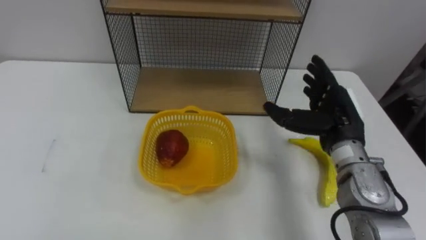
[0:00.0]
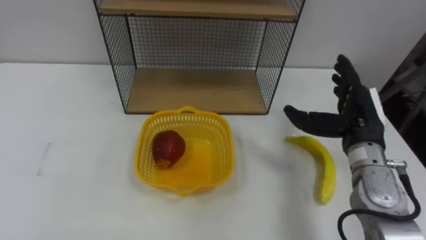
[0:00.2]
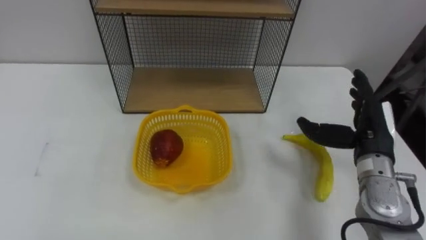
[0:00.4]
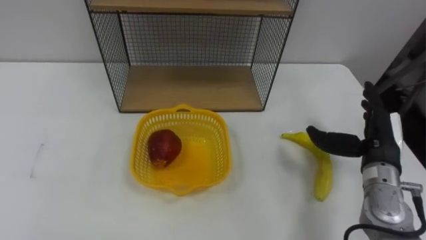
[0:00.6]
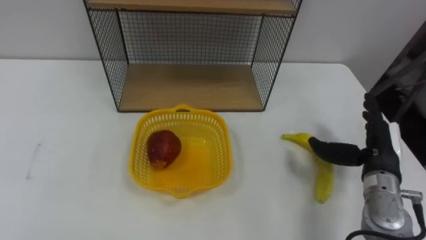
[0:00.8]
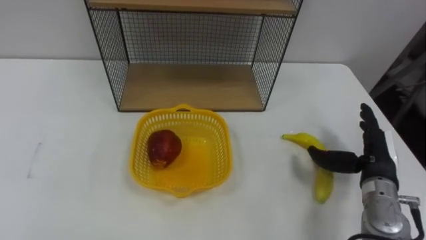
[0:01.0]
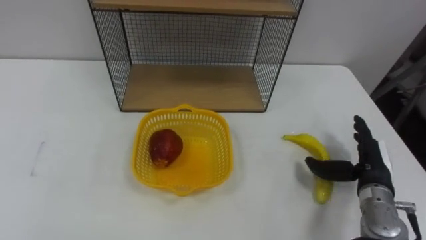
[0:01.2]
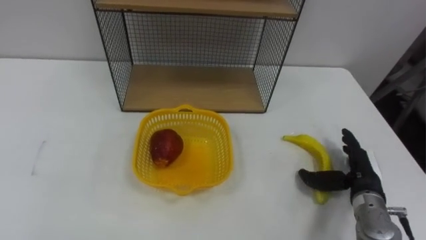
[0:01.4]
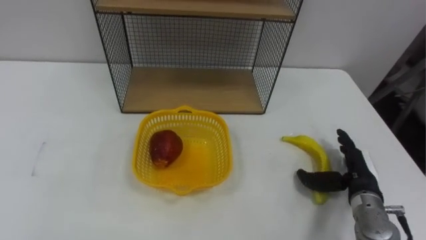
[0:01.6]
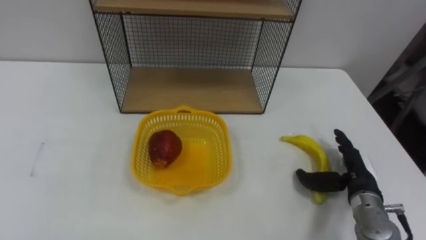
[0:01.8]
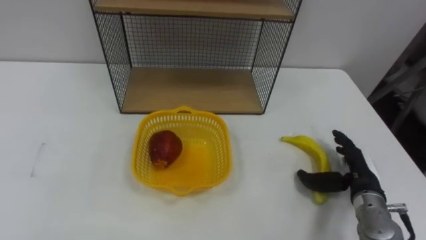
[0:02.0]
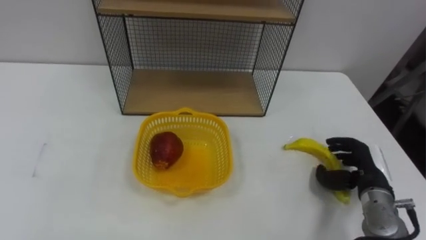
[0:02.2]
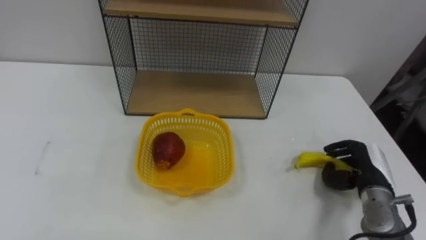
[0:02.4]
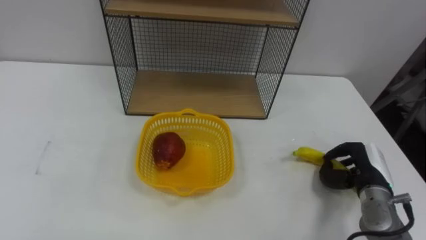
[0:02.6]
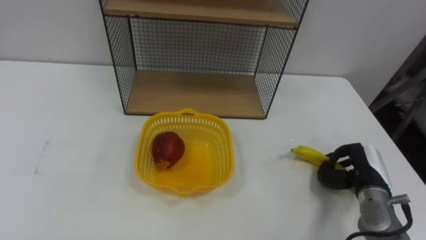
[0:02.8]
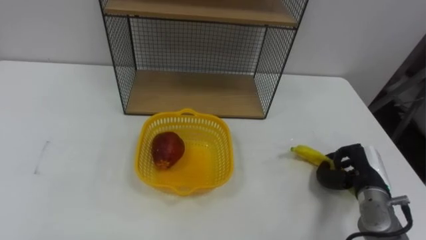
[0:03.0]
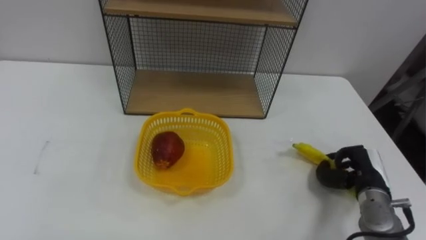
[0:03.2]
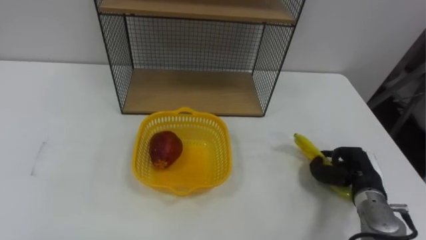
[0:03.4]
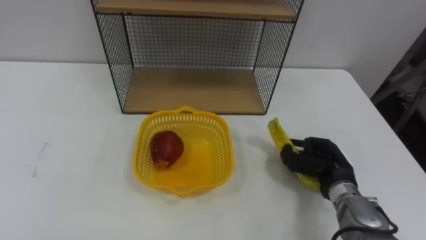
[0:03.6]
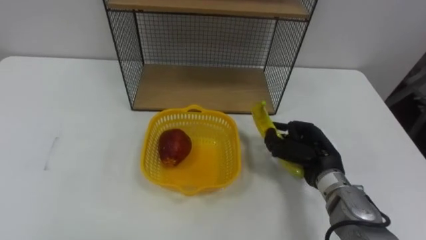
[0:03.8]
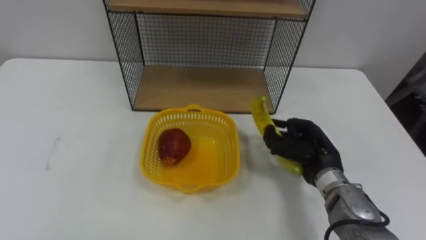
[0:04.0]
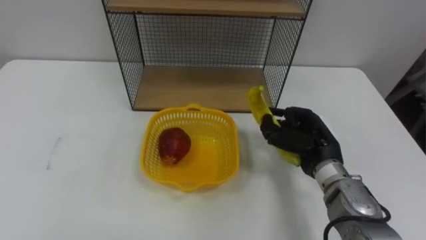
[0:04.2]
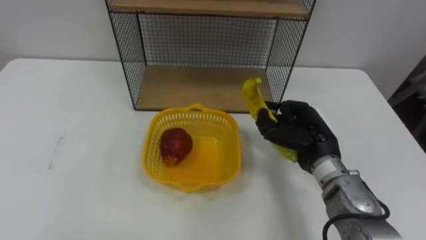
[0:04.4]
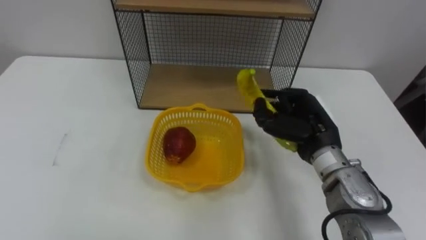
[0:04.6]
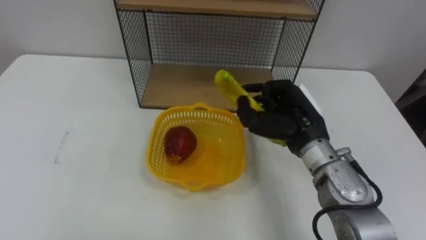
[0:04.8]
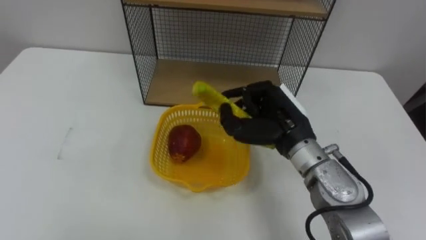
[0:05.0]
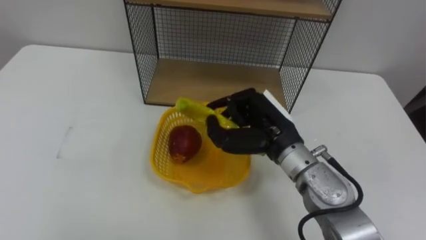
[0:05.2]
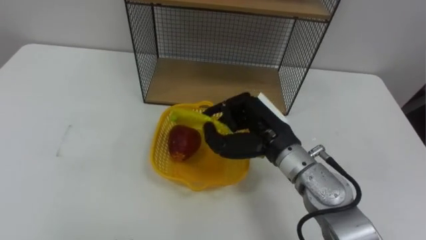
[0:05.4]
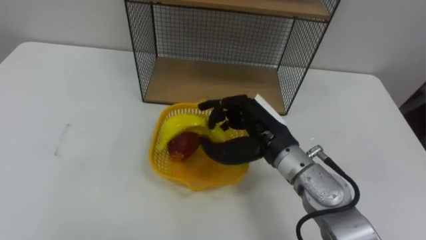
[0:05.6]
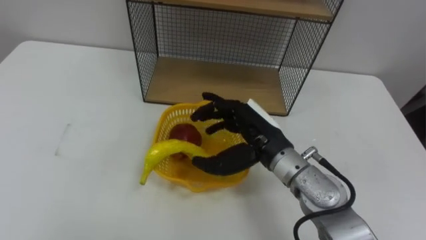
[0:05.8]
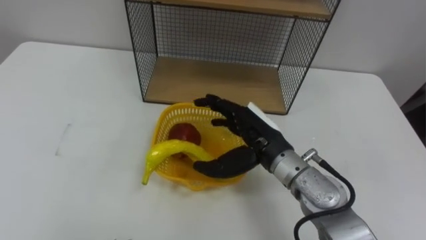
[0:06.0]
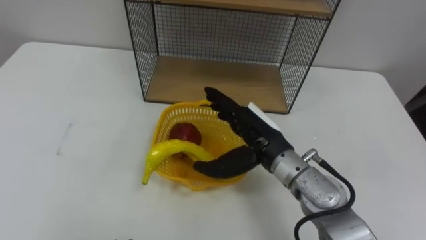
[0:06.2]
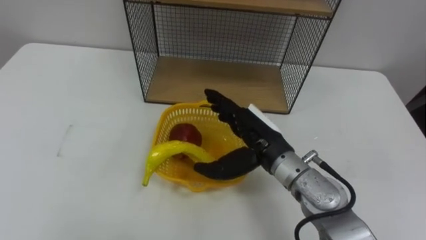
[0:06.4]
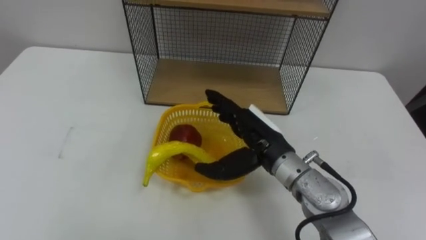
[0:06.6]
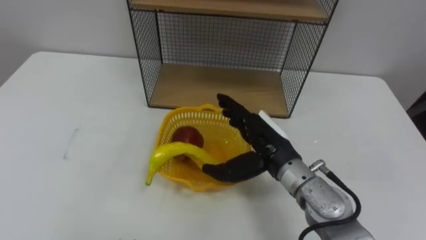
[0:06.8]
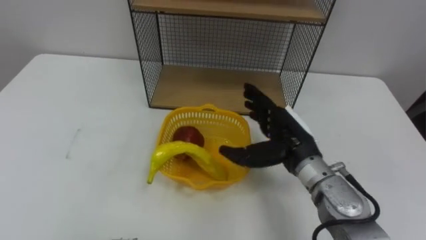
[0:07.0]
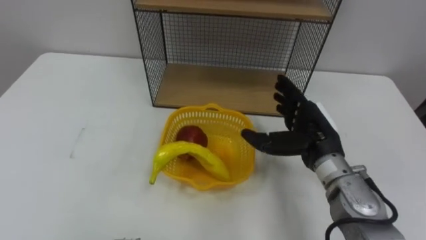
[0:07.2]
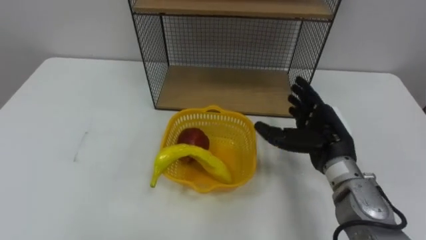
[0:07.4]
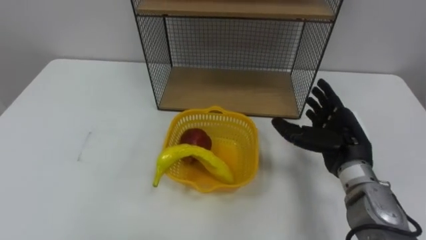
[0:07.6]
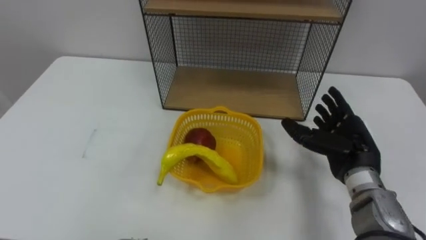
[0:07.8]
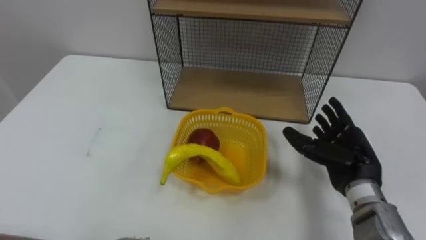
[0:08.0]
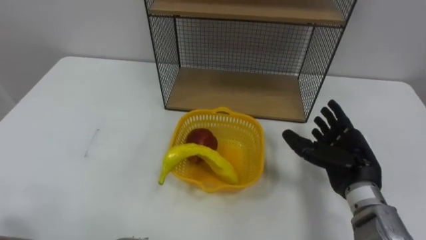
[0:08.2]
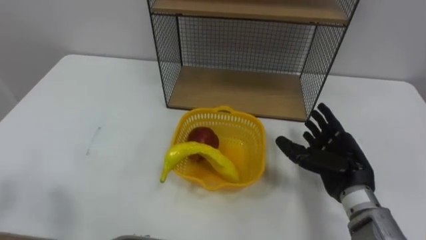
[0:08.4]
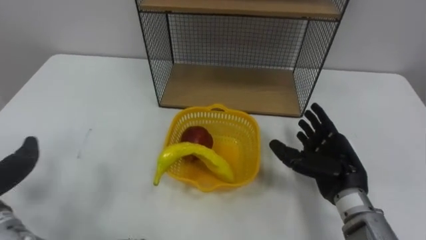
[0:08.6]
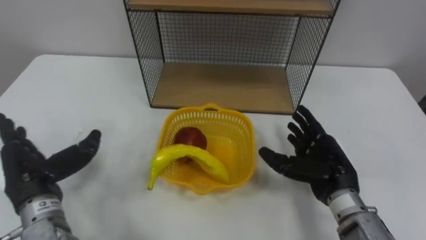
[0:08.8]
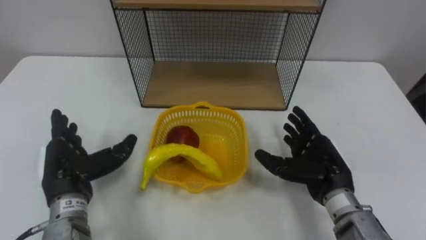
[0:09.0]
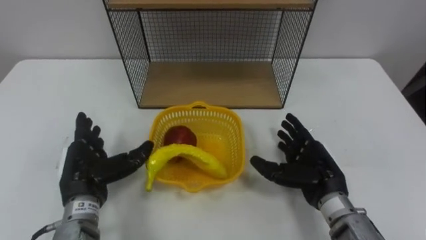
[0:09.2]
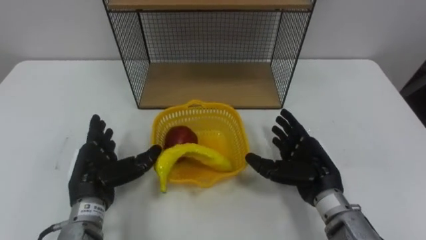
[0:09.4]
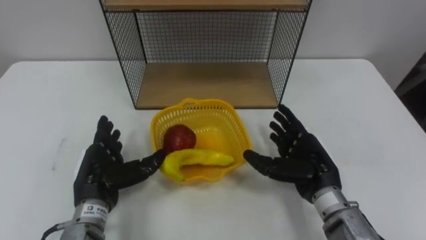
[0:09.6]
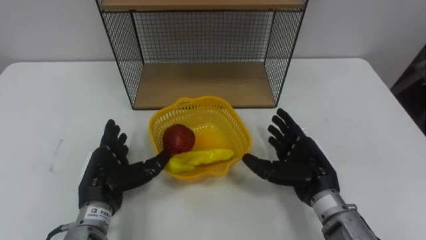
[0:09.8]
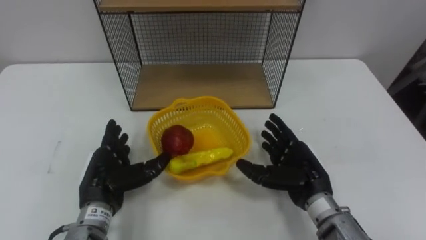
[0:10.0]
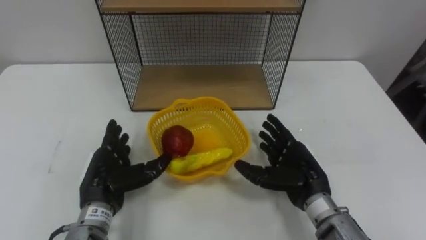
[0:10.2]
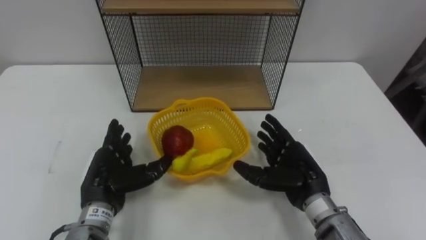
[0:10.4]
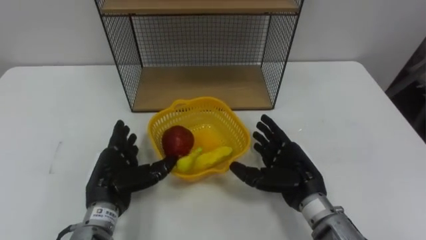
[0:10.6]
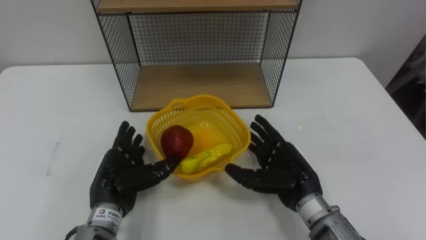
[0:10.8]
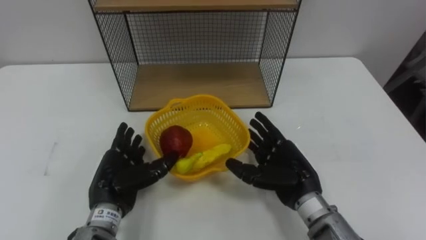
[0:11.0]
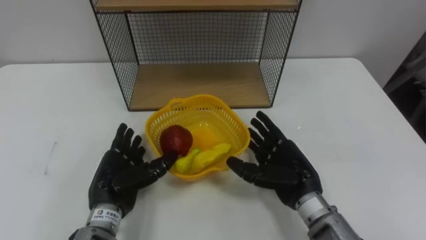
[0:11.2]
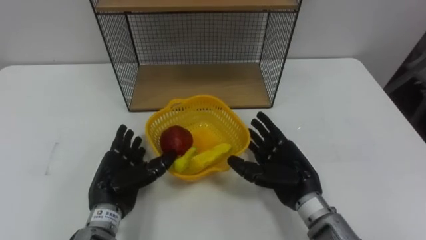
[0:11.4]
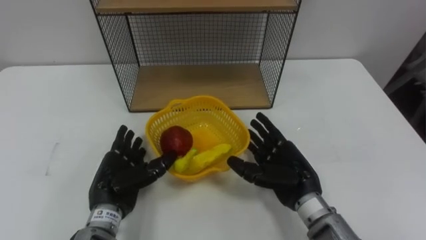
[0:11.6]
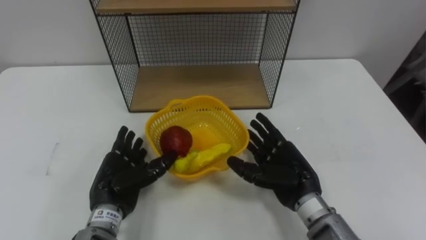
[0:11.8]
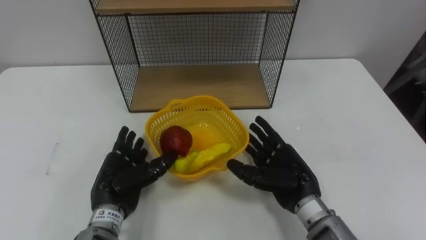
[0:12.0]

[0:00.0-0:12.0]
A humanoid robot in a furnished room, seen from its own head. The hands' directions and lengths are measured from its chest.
Task of the whole recording: Put the fruit on the table into the basket, then place the basket on the shelf.
0.0 to 1.6 s: The right hand heads downward, to the right and backward, covering roughly 15 cm.
1.6 to 3.0 s: The right hand closes.
3.0 to 4.4 s: The right hand goes about 15 cm to the left and upward.
4.4 to 6.0 s: The right hand travels to the left by some 10 cm, and opens.
6.0 to 7.6 s: The right hand travels to the right by about 15 cm.
7.6 to 9.0 s: The right hand shifts by roughly 5 cm.
9.0 to 10.4 s: The left hand moves to the right, some 5 cm.
10.4 to 12.0 s: The hands make only small movements.

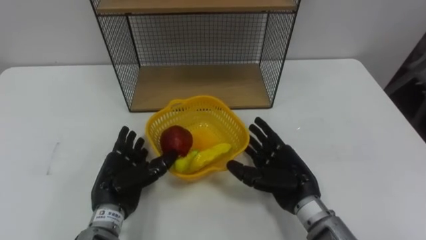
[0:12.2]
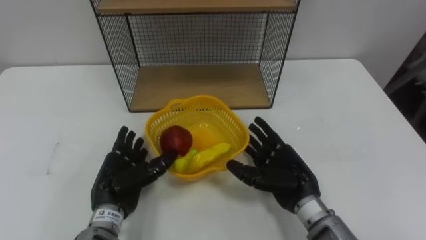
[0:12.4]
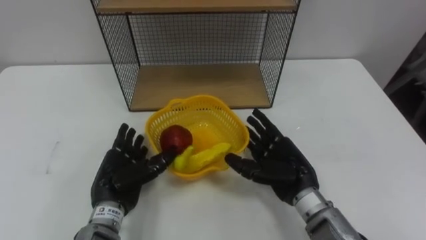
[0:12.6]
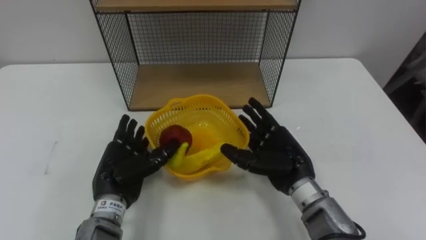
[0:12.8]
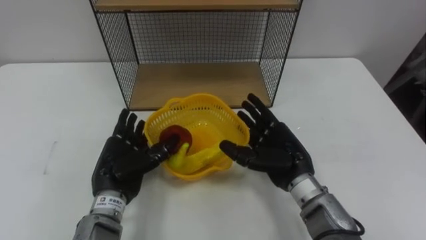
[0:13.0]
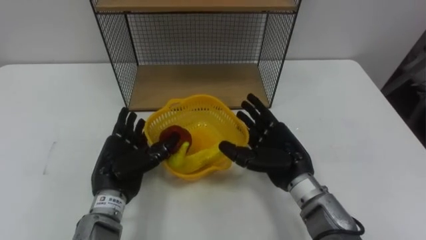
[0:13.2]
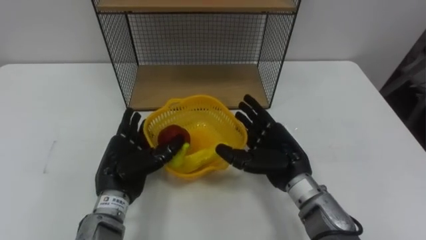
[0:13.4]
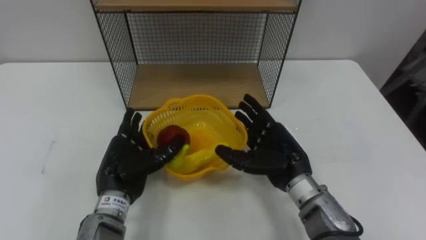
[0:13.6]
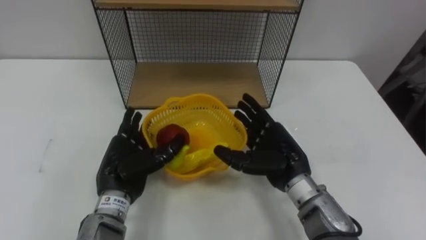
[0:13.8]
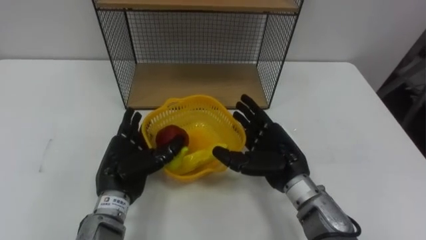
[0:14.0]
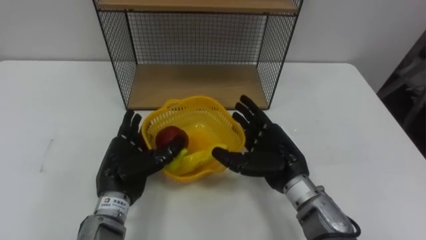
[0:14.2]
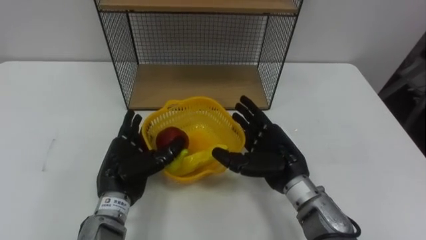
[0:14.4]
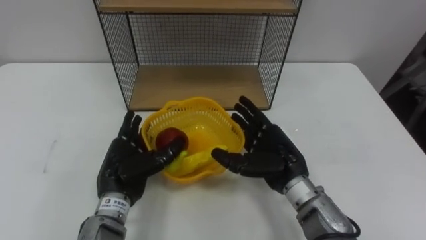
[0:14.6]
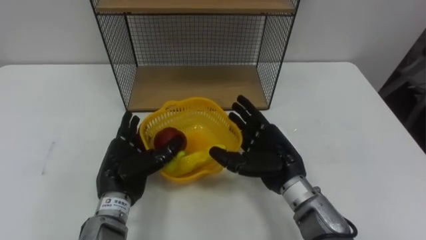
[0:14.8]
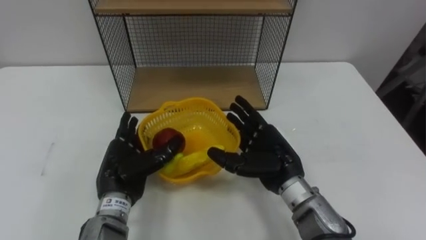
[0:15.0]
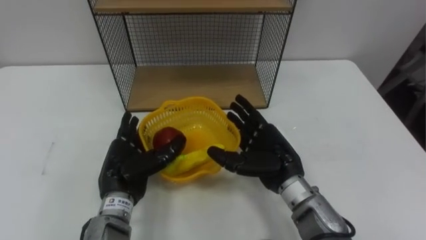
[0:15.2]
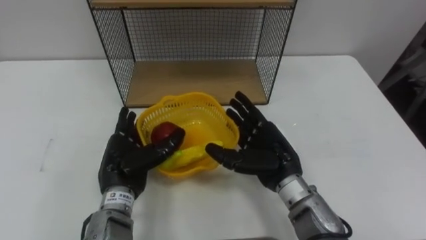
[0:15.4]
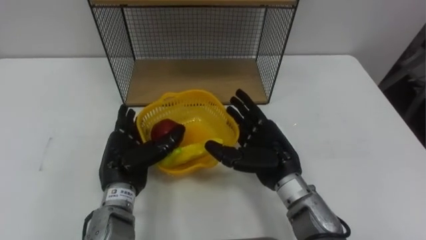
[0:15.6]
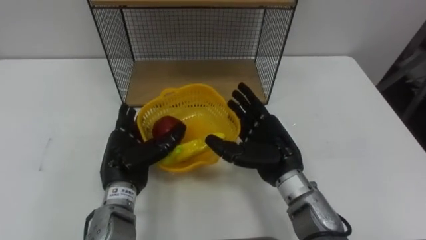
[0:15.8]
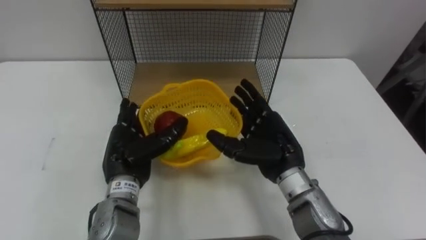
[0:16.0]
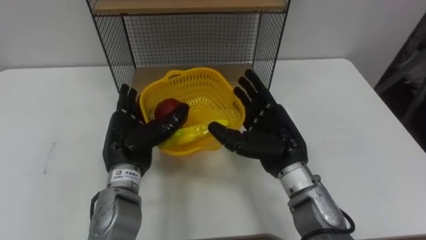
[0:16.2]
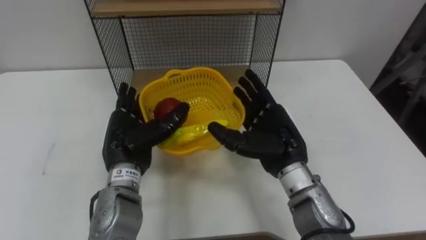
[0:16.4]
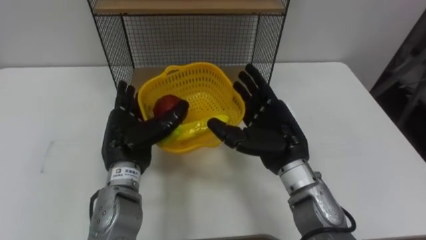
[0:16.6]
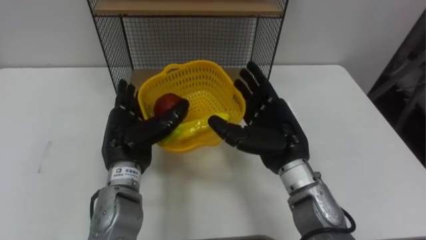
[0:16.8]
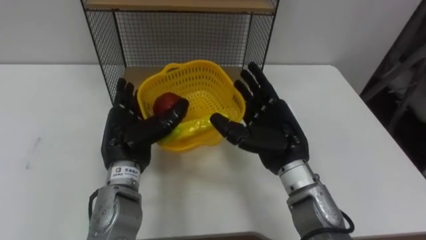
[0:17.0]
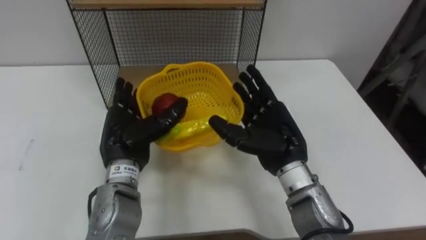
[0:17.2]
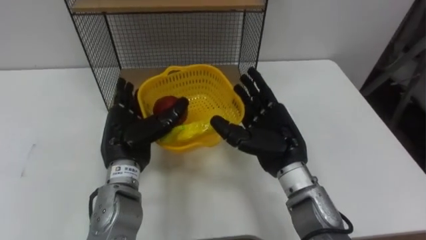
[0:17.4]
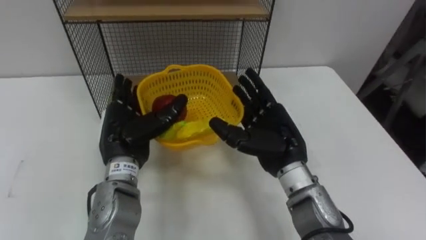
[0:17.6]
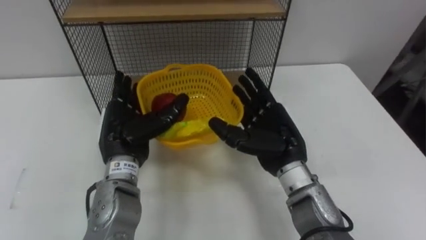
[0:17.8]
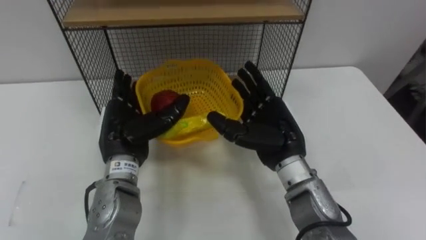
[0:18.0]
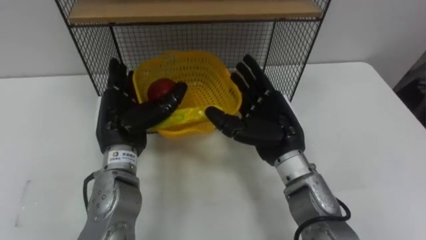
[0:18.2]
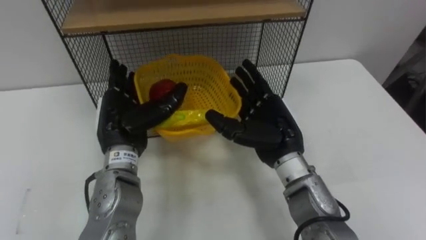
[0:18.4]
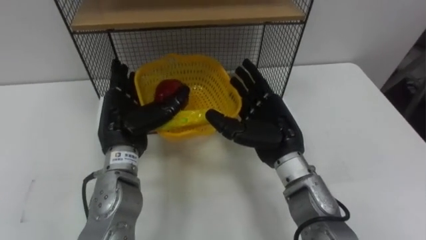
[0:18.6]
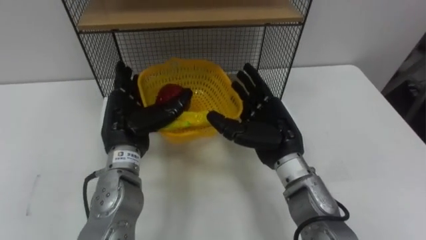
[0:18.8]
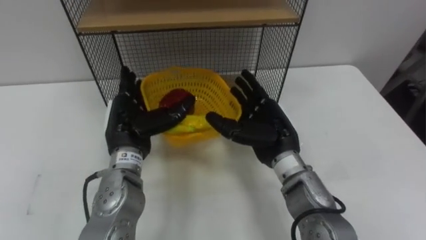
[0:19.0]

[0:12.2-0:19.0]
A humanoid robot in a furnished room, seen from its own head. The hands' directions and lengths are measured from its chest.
Task of the whole recording: Put the fruit on the table into the basket, then place the basket on the shelf.
12.2 to 15.0 s: The hands make only small movements.
15.0 to 16.2 s: The left hand moves roughly 5 cm.
